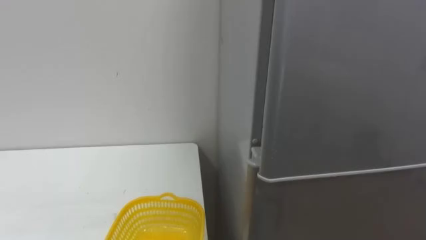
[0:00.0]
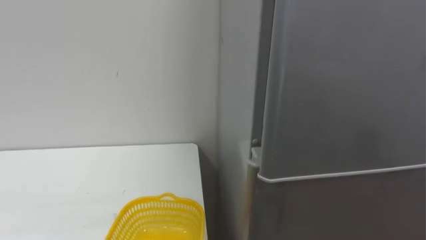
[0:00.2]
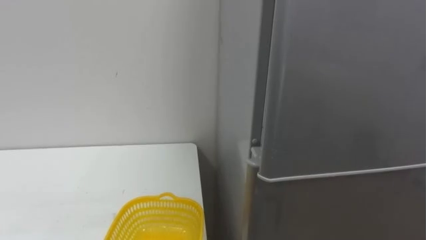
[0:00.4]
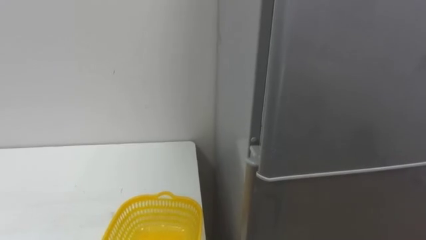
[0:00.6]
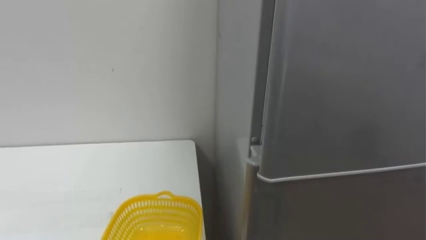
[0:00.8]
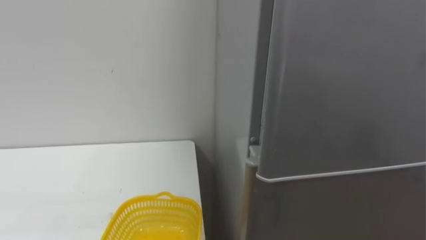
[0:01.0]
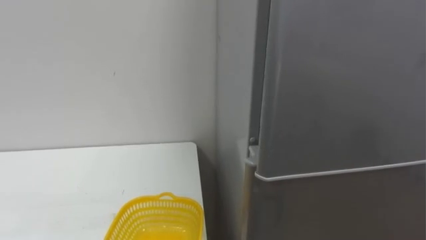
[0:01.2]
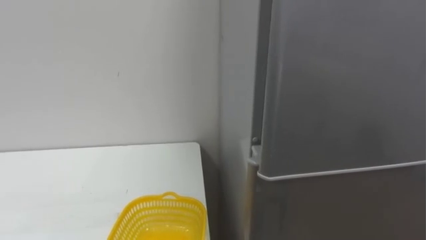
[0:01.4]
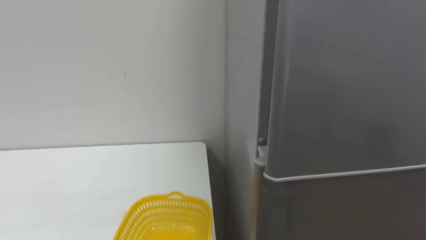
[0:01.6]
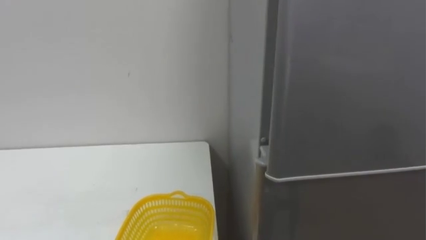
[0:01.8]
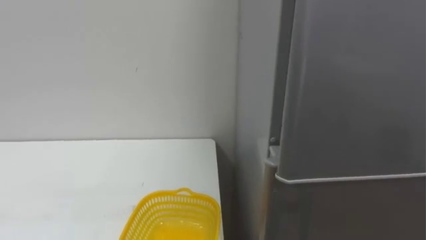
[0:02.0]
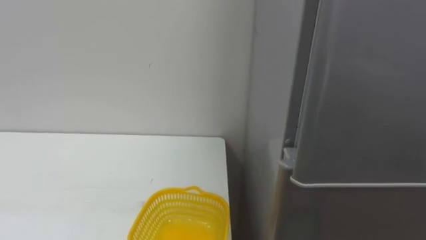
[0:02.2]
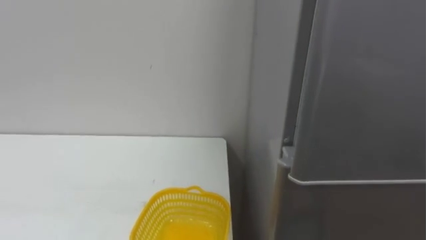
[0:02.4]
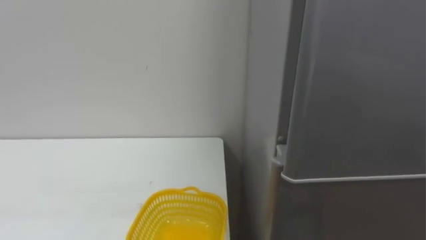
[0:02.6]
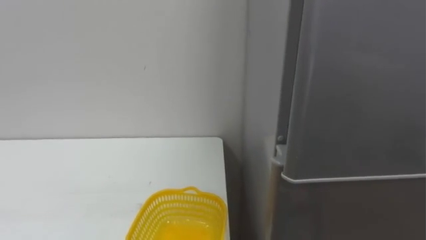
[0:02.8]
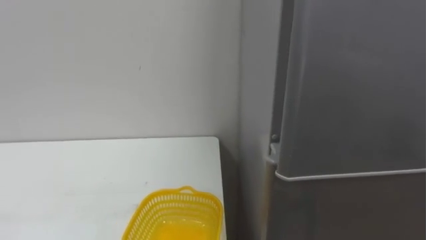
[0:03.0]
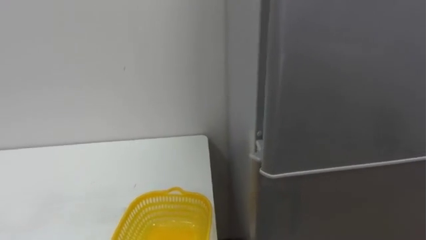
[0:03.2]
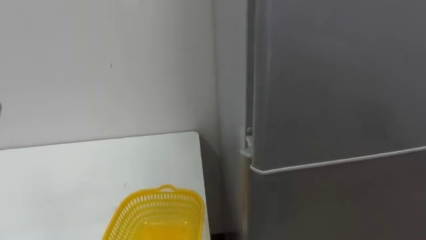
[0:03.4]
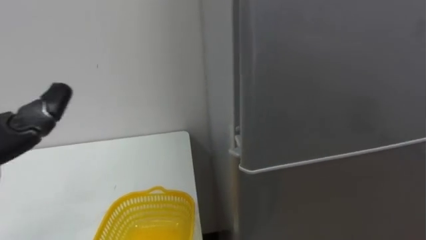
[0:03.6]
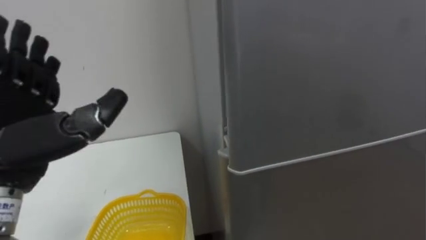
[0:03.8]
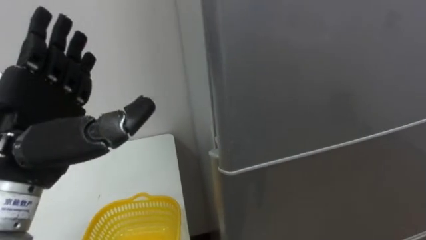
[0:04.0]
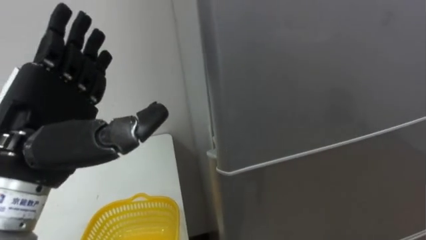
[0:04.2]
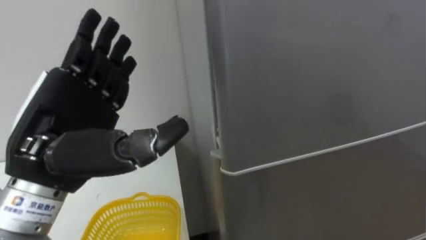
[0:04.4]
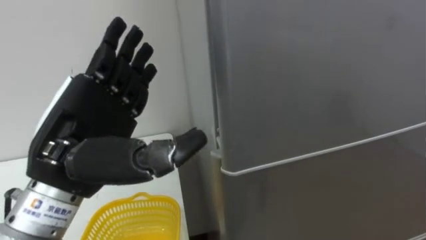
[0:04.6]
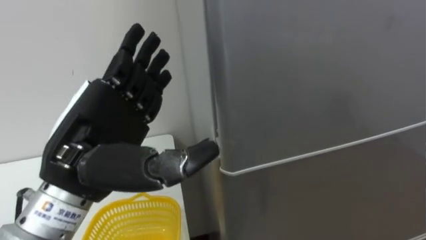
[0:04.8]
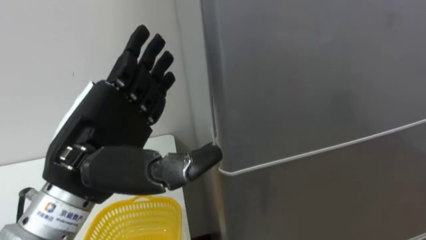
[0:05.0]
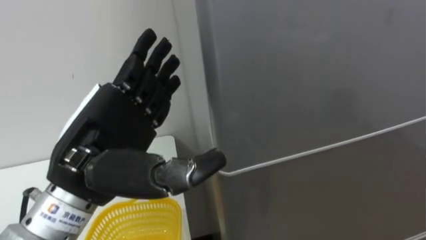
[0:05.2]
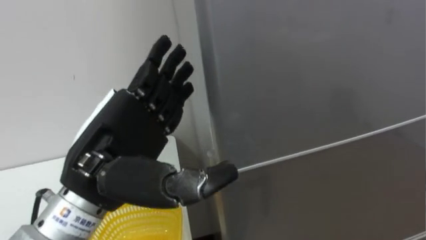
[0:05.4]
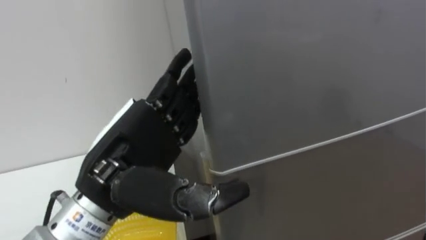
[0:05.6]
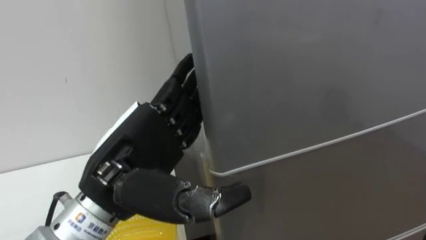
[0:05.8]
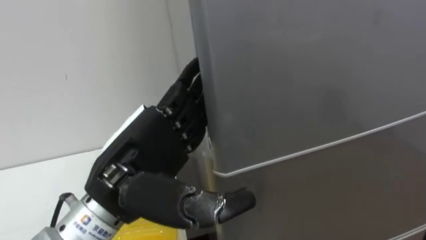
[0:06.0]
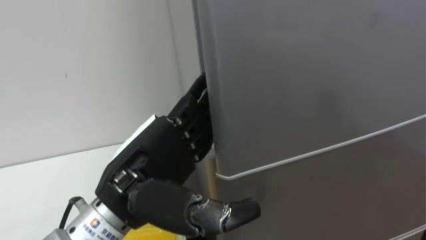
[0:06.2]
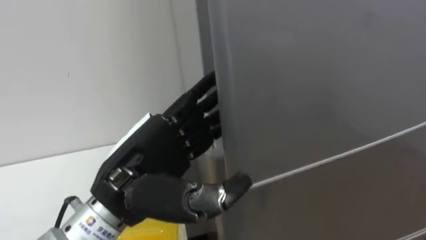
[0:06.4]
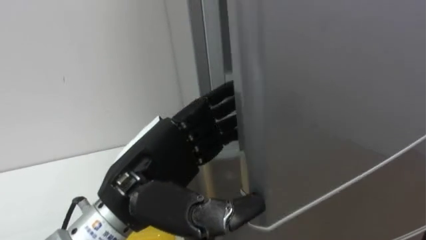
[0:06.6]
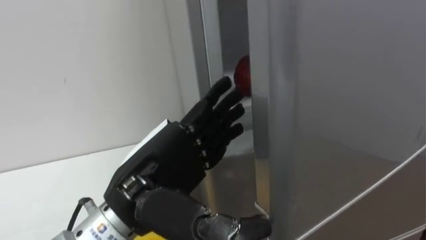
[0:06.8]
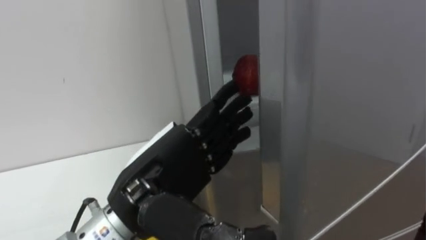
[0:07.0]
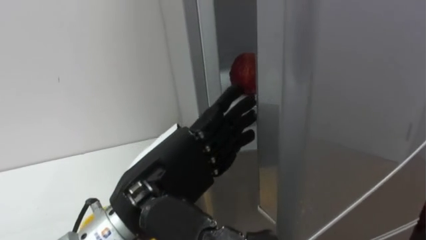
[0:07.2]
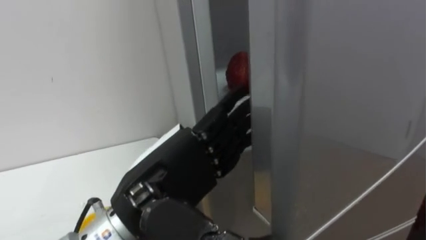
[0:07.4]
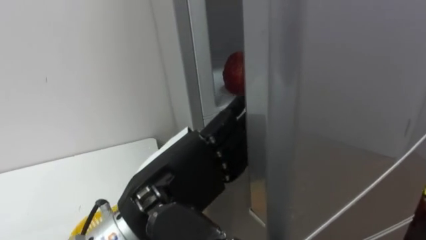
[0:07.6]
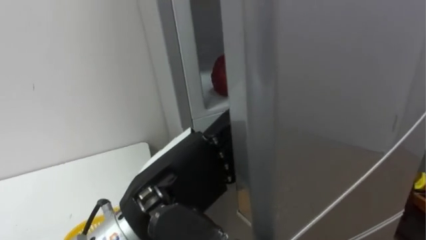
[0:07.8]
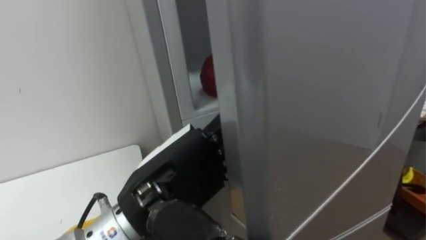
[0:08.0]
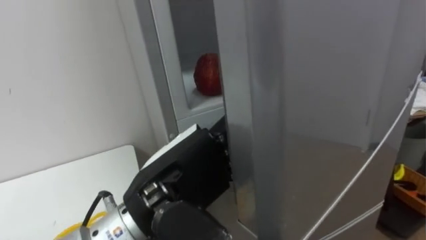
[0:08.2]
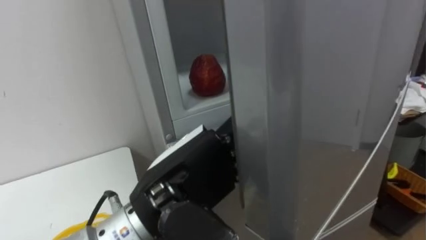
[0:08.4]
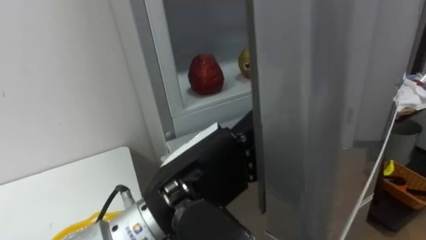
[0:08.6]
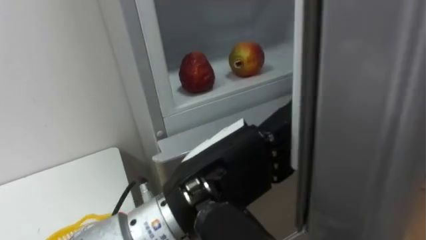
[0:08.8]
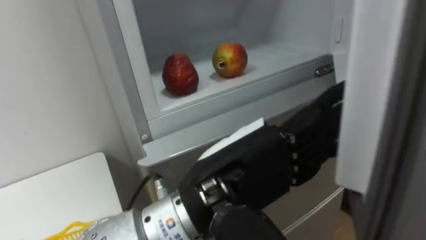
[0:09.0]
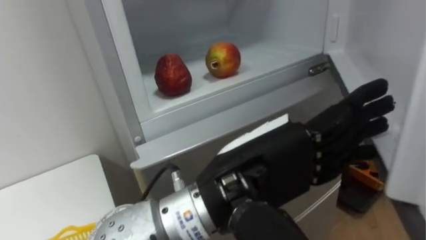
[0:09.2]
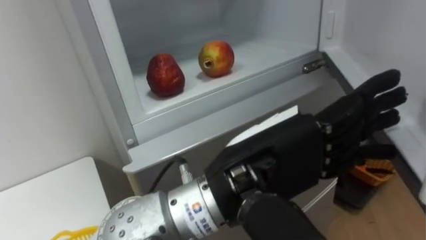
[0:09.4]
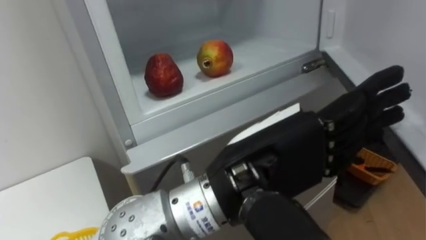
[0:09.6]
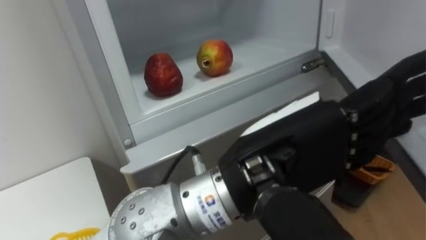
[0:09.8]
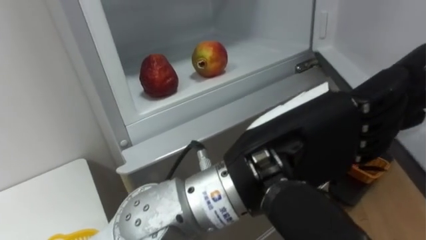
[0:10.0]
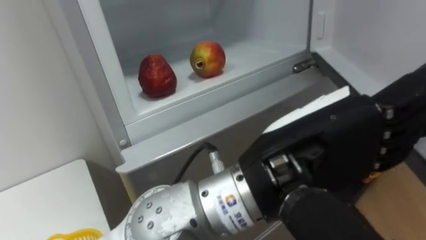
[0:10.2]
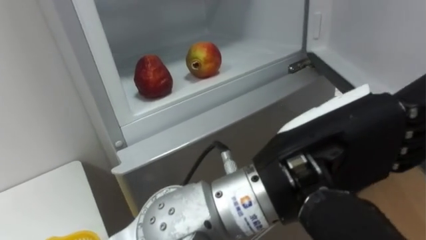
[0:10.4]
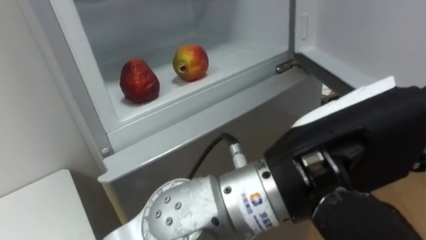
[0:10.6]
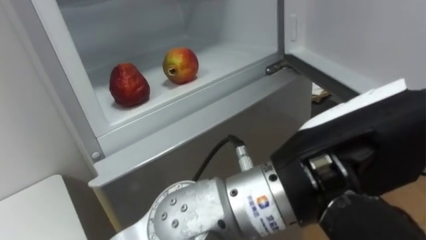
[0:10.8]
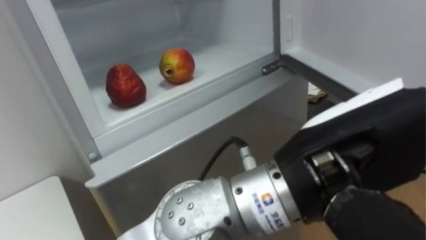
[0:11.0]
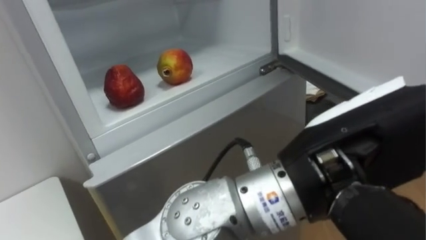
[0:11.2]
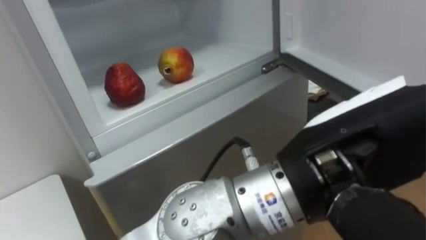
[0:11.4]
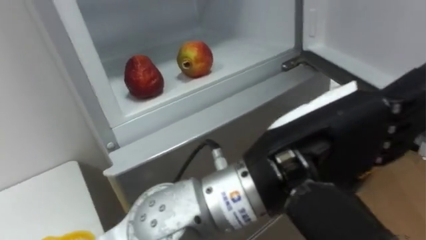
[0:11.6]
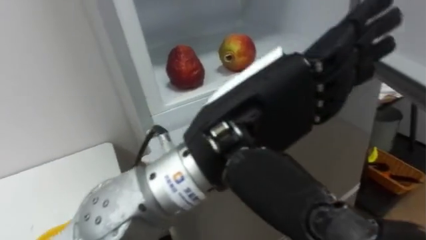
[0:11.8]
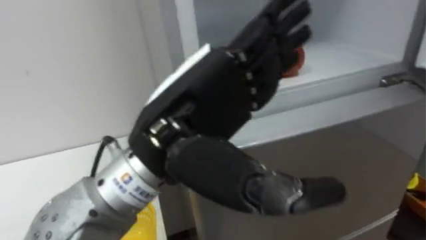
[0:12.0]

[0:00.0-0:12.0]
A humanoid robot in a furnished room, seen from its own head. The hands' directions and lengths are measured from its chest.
Task of the whole recording: Open the refrigerator door, take out the apple and the pomegranate, place them in the fruit basket on the left, and close the refrigerator door.
4.4 to 6.0 s: The left hand travels to the right by some 5 cm.
7.6 to 9.0 s: The left hand moves to the right, approximately 5 cm.
9.0 to 10.4 s: The left hand is displaced to the right by roughly 5 cm.
10.4 to 12.0 s: The left hand shifts about 10 cm to the left.

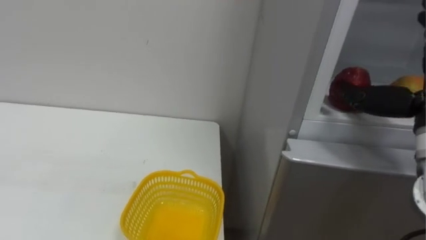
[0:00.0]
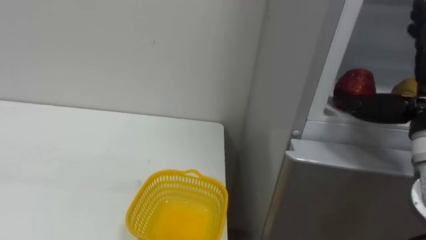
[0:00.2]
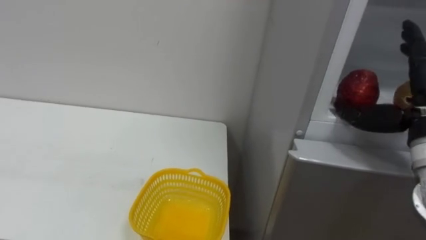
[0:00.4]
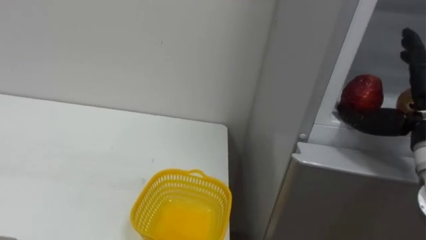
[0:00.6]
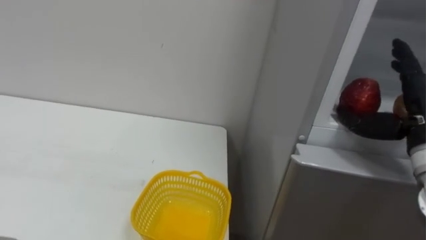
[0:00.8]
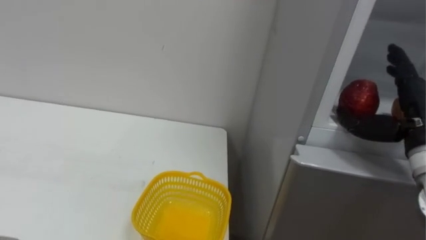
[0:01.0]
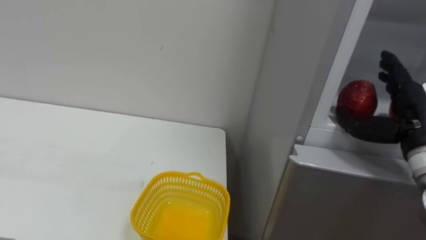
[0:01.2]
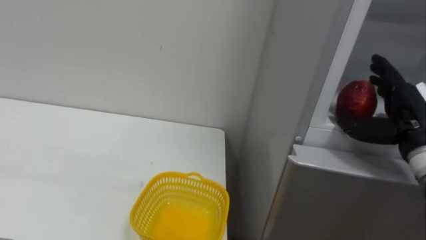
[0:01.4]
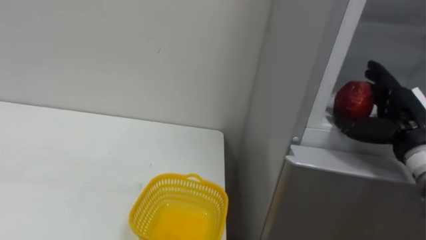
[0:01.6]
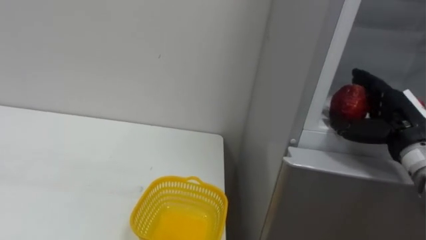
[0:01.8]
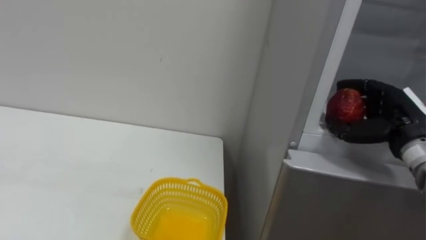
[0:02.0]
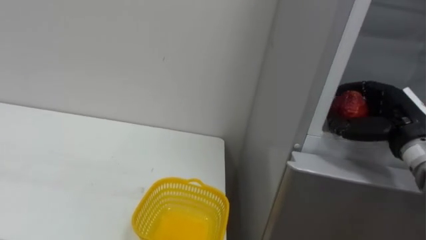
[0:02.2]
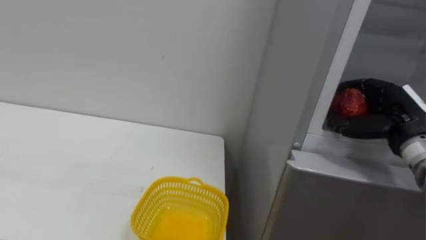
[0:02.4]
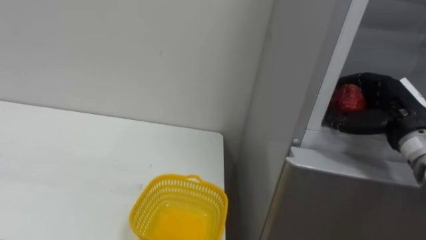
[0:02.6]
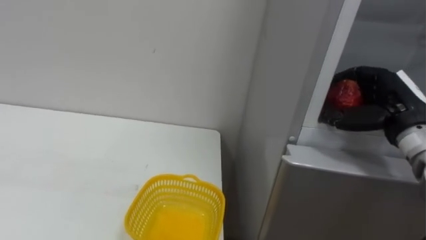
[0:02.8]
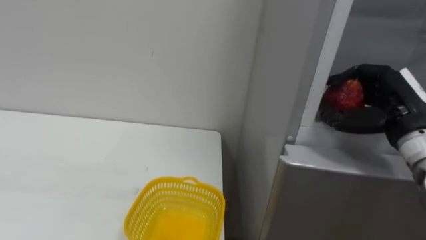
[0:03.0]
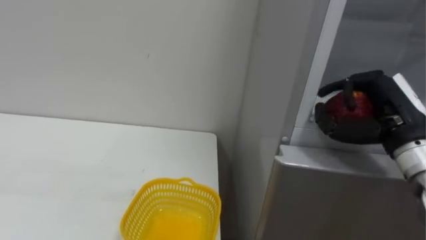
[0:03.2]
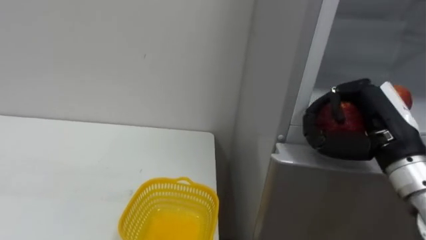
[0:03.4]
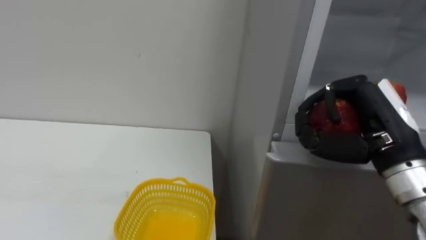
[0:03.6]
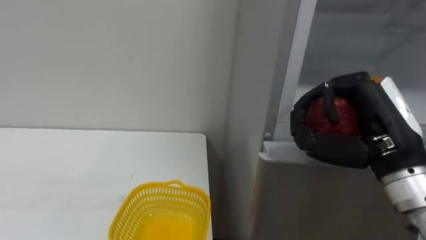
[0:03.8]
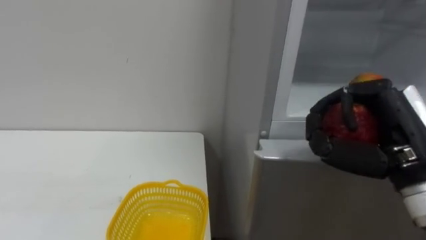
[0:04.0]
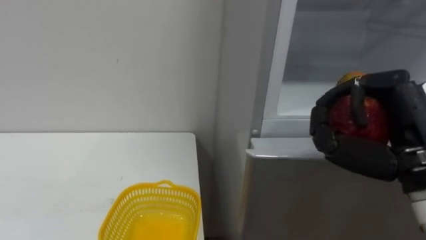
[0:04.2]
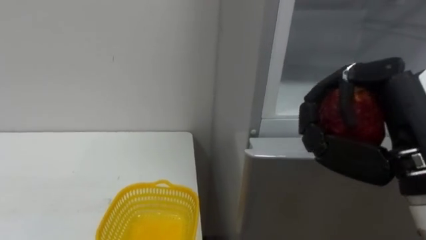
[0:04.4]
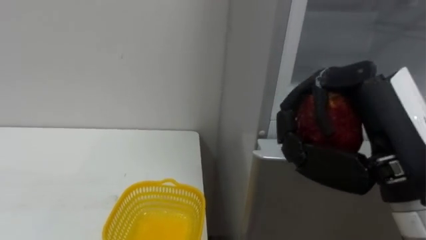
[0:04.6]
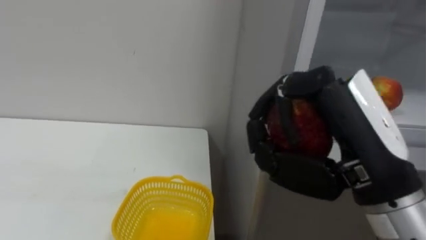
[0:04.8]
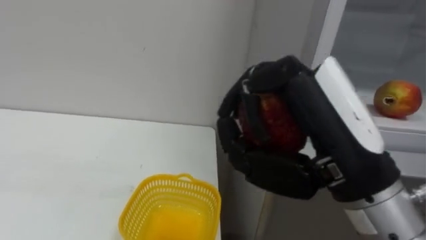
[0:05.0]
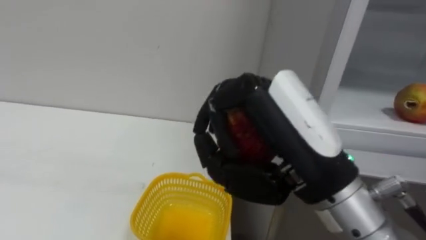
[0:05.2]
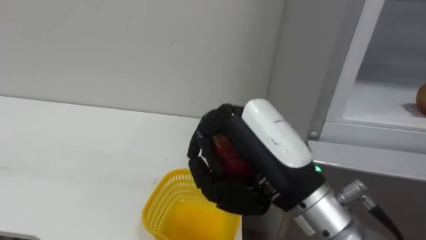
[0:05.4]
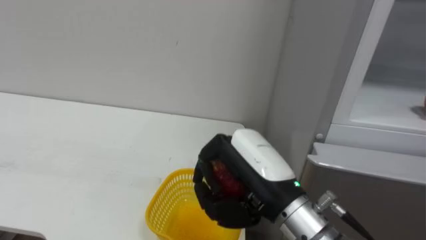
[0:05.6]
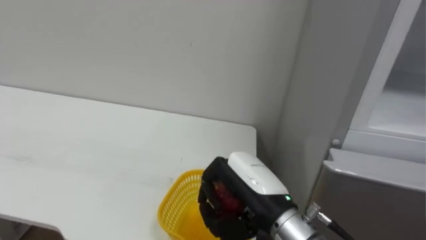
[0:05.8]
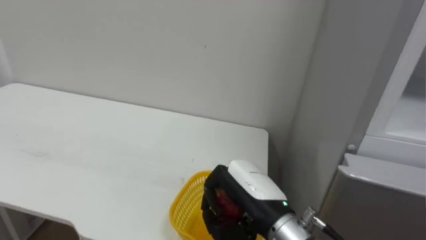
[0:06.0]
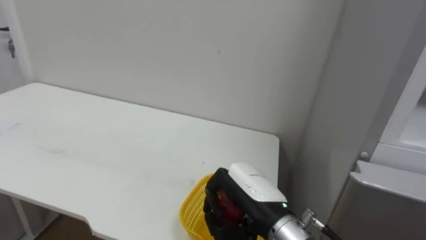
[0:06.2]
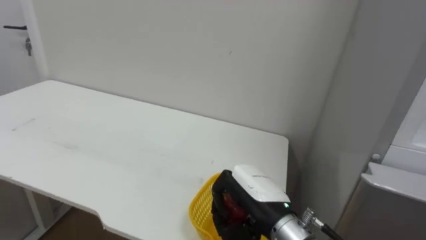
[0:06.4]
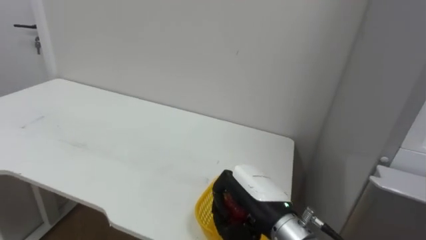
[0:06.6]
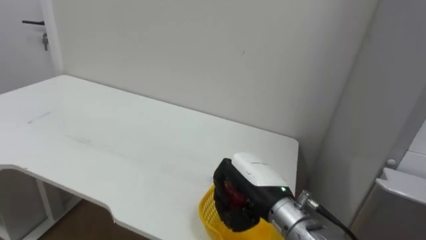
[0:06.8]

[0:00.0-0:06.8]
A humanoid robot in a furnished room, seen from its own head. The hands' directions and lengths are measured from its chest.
Task of the whole recording: Open the refrigerator door, take out the apple and the pomegranate, place them in the fruit basket on the left, and close the refrigerator door.
1.4 to 2.8 s: The right hand closes up.
2.8 to 4.0 s: The right hand is displaced backward and to the left by approximately 10 cm.
4.0 to 5.4 s: The right hand goes approximately 15 cm to the left.
5.4 to 6.8 s: The right hand shifts about 15 cm downward and forward.
